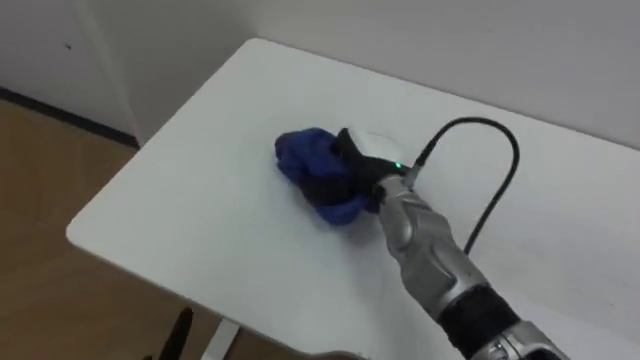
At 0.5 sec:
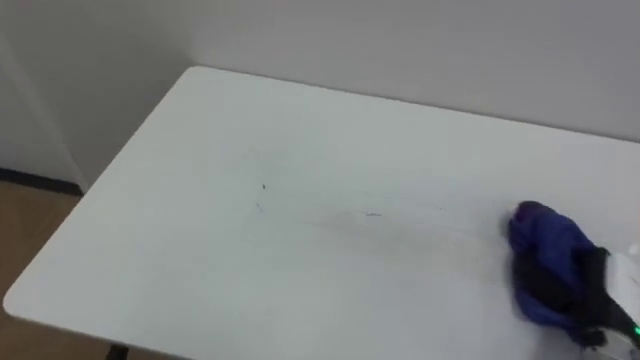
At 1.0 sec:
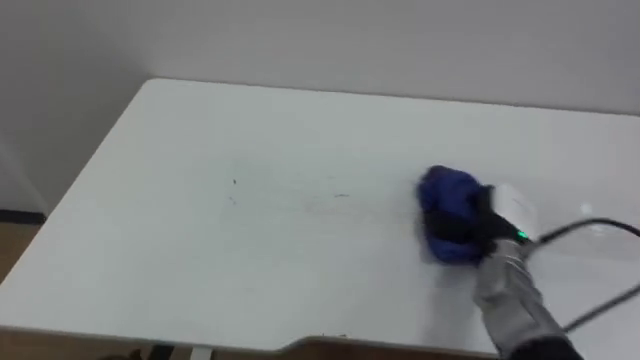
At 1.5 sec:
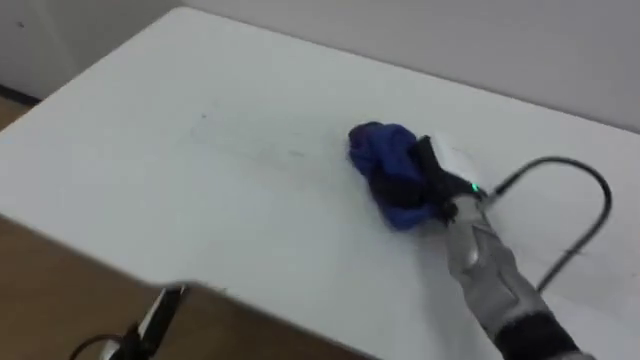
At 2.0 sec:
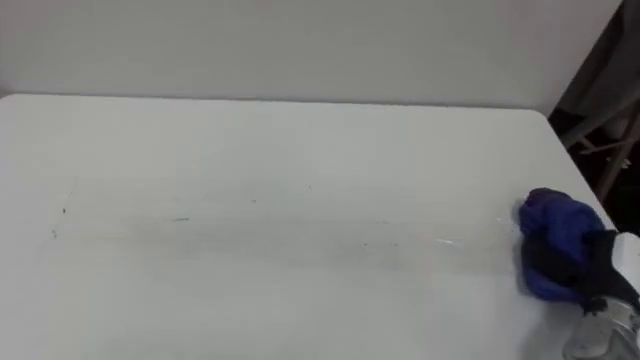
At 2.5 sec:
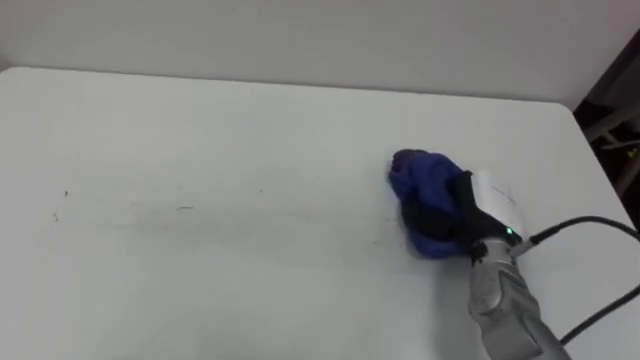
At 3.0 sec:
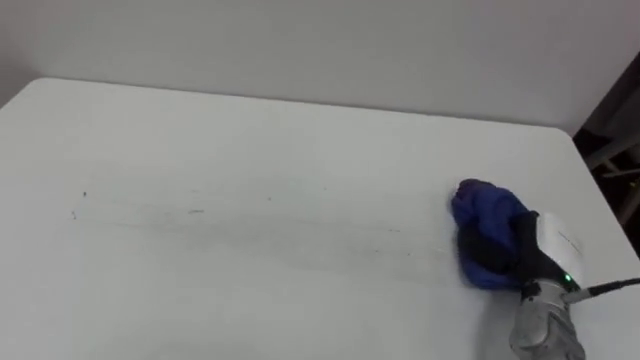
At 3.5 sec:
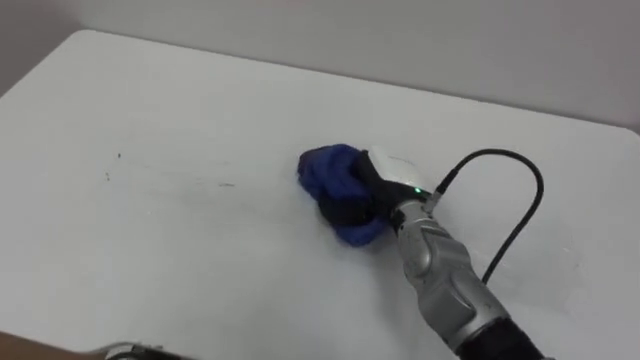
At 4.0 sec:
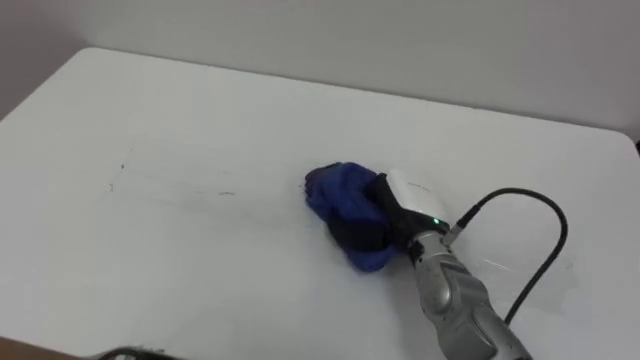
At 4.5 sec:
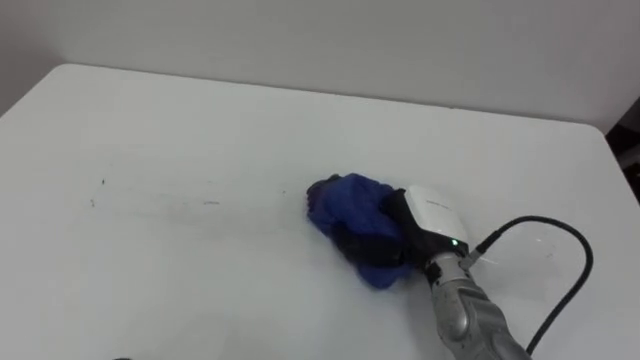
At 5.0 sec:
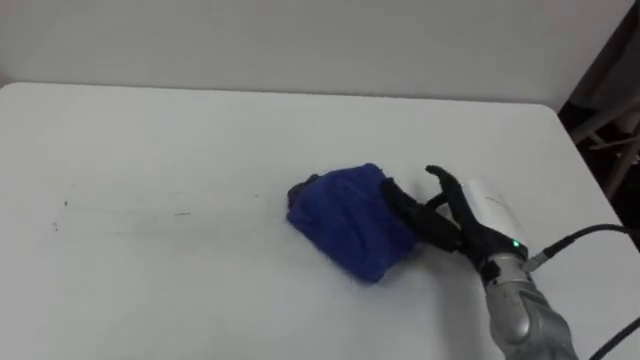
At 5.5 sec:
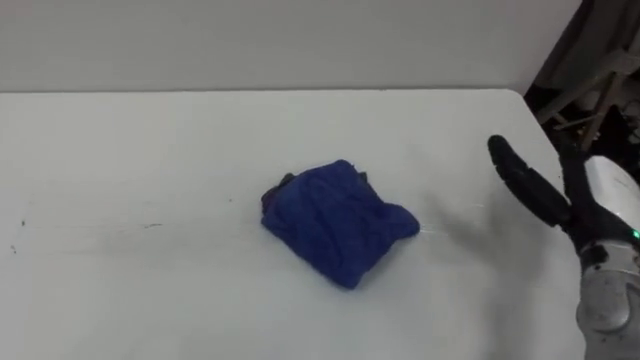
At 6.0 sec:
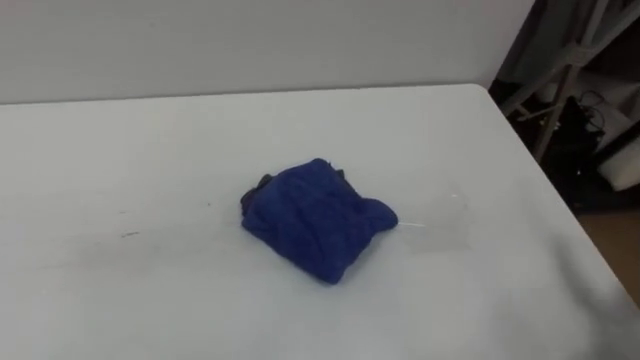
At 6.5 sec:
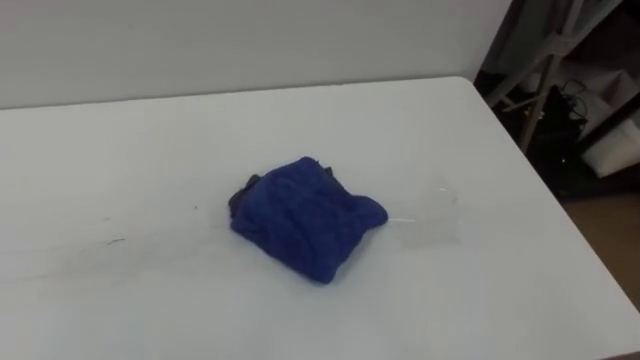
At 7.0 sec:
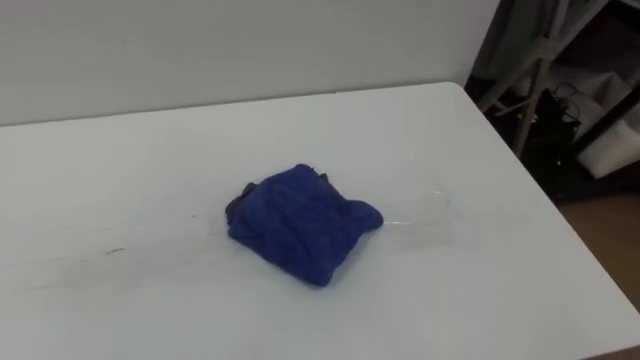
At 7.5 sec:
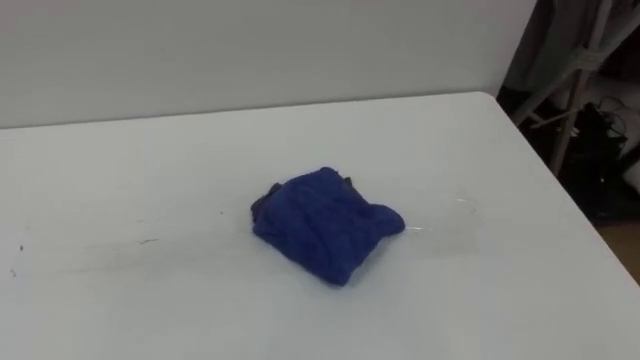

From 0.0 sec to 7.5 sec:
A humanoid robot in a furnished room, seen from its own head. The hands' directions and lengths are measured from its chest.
Task of the whole recording: Wipe the blue pen marks off the table with the rag.
From 2.0 sec to 4.0 sec: The right hand goes left and right, approximately 25 cm each way, reversing 2 times.
From 4.0 sec to 5.5 sec: The right hand travels to the right by roughly 20 cm, and opens its fingers.

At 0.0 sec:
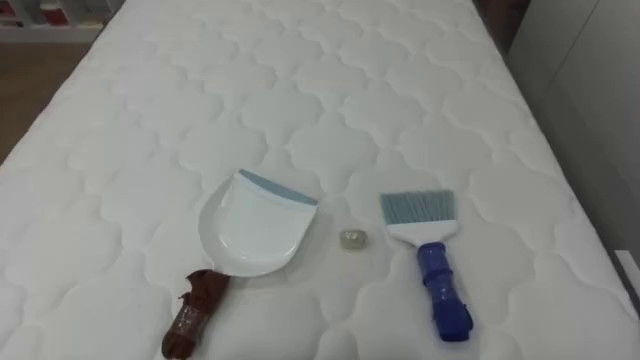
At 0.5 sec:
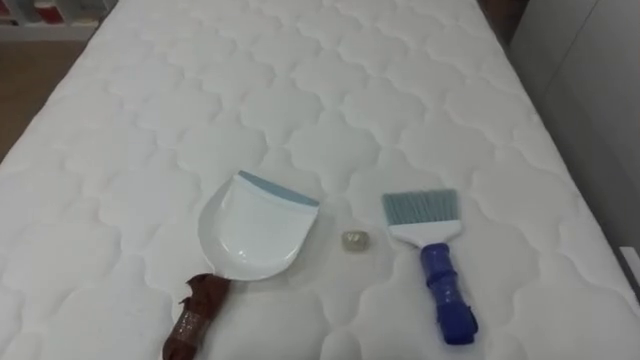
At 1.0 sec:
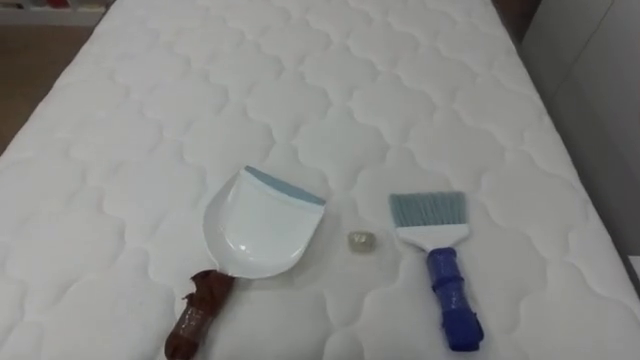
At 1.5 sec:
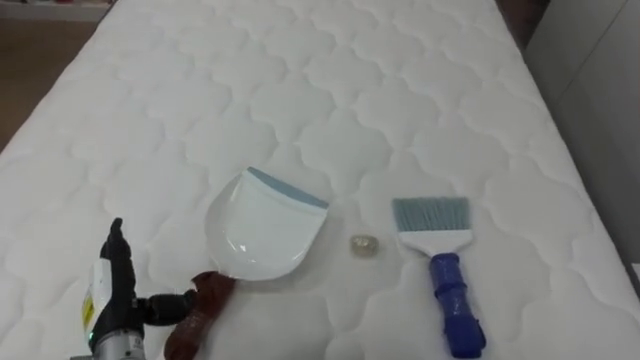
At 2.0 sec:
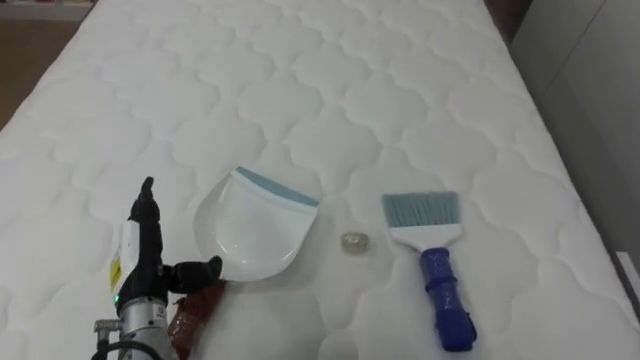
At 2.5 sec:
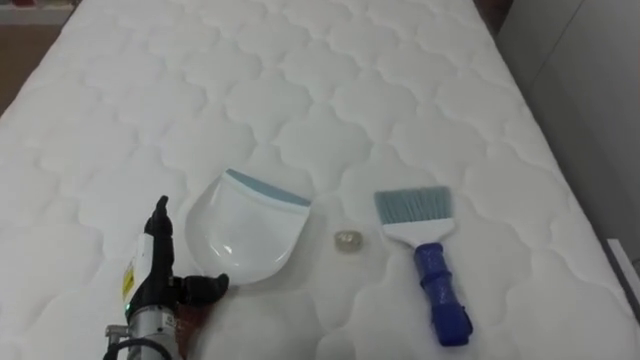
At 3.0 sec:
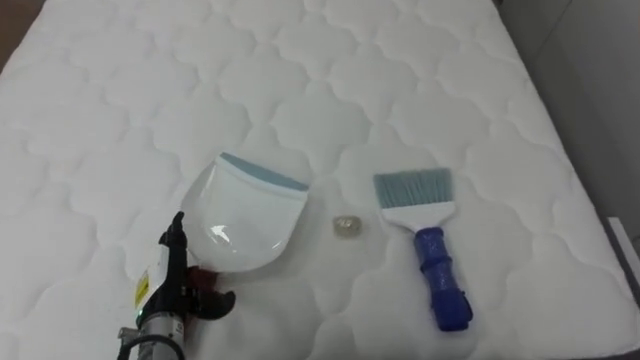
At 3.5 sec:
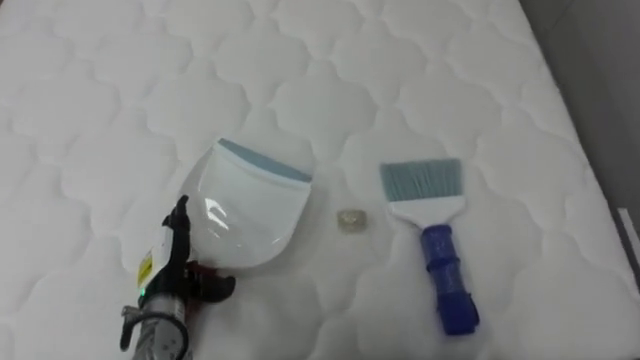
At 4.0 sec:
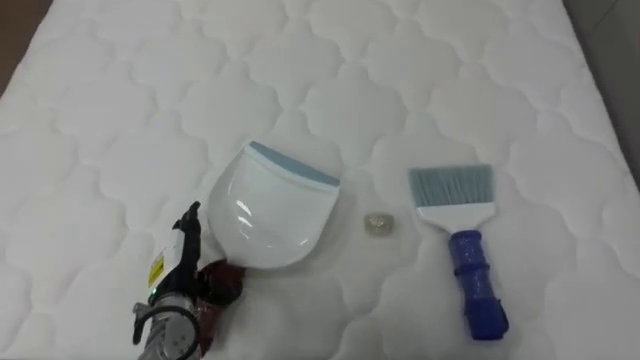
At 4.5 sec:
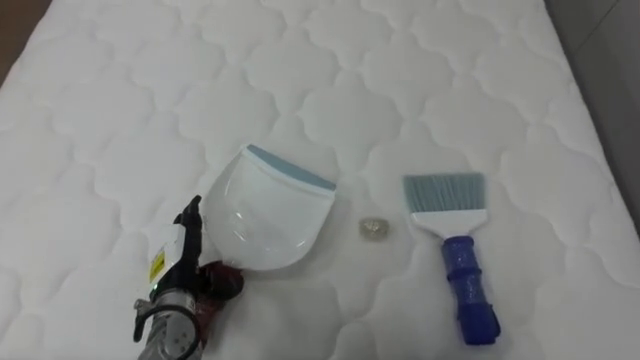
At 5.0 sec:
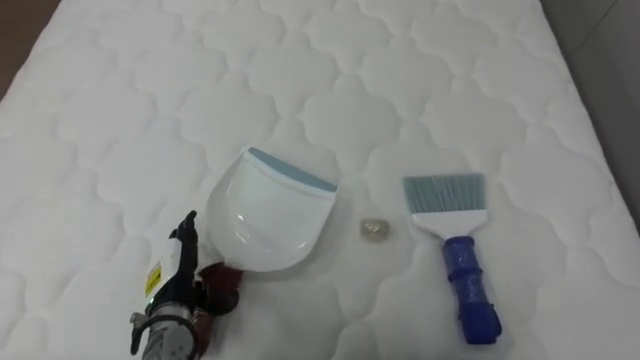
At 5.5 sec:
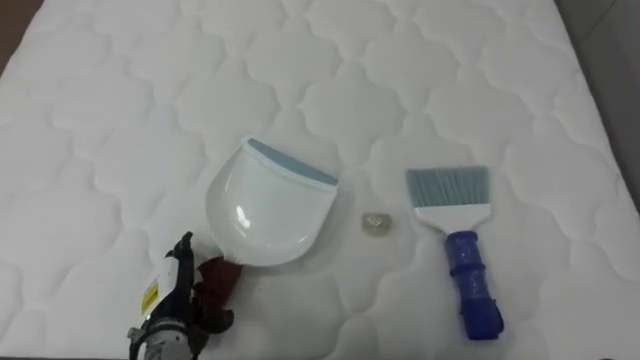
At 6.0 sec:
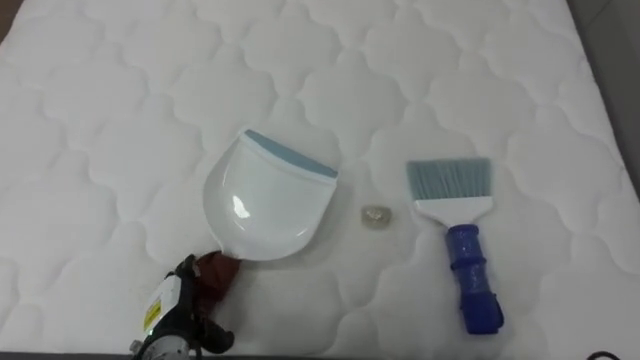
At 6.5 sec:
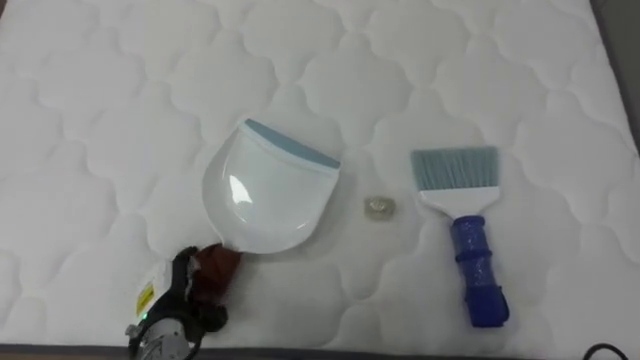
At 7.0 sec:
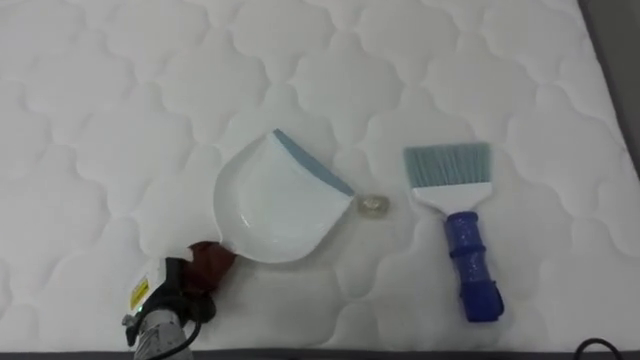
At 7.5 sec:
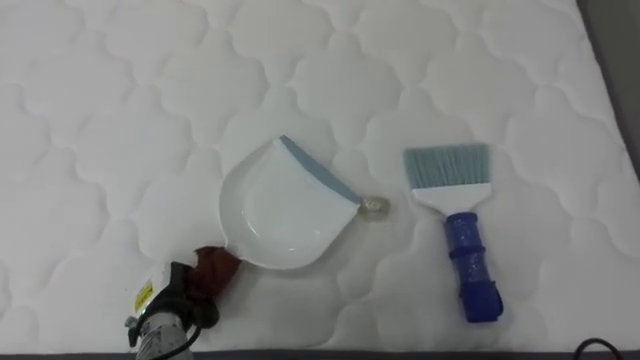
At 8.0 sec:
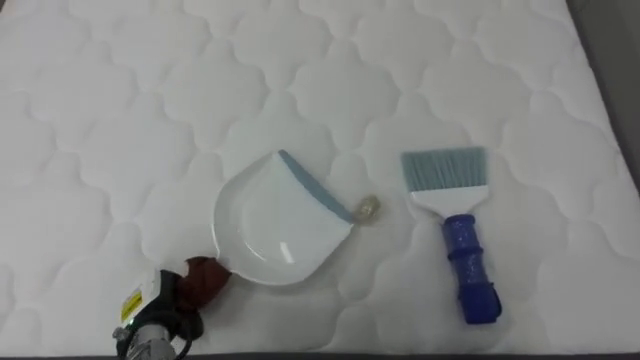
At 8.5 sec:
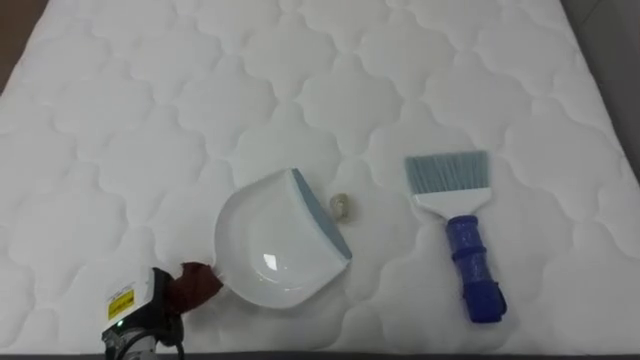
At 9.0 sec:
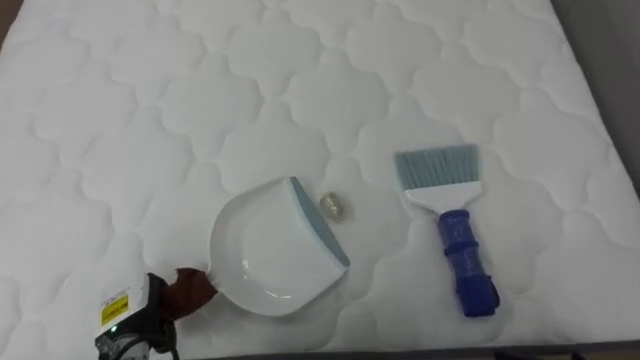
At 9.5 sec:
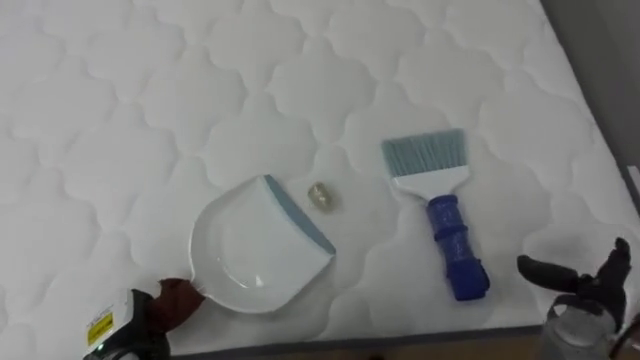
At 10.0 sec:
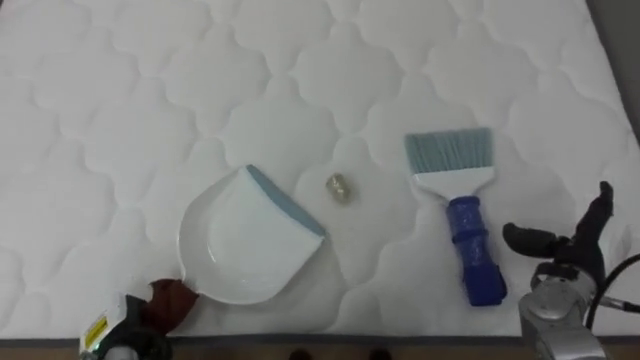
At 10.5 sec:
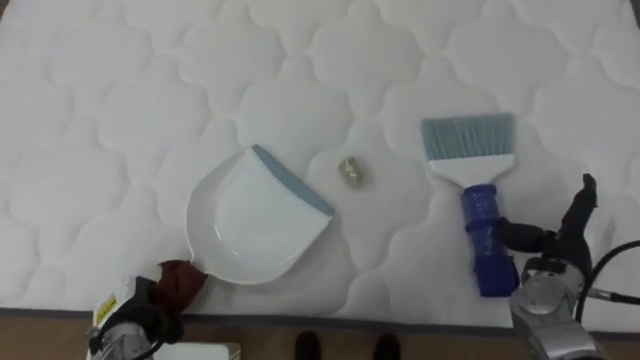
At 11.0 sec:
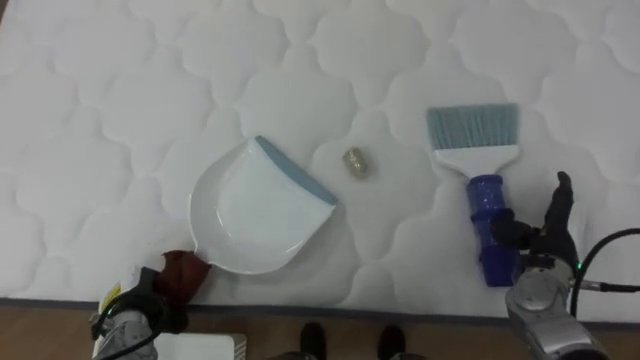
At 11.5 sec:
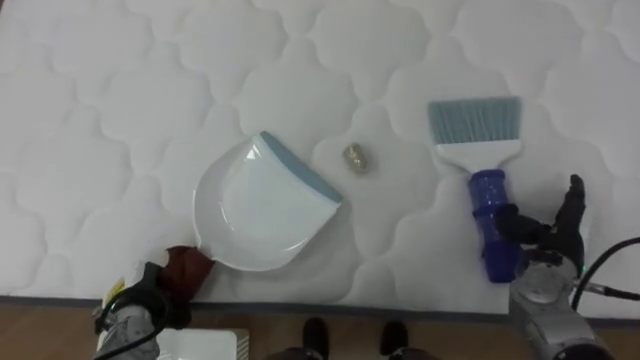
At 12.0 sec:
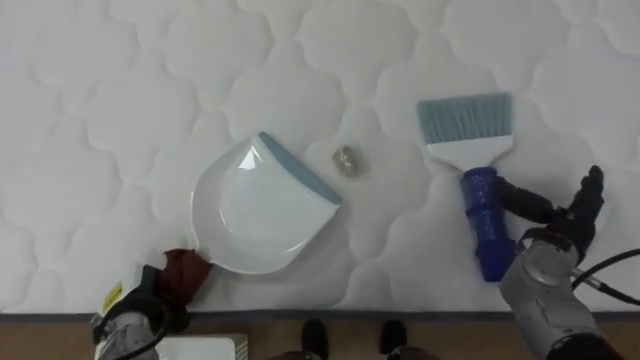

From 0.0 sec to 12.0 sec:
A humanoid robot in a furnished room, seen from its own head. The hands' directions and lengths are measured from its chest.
Task of the whole recording: Pick up the brush on your right and the dustpan on your left. Use the brush to sweep the crumpled paper on the bed into the dustpan, then turn left and empty it into the basket.
From 2.0 sec to 4.0 sec: The left hand travels downward by some 5 cm.
From 4.0 sec to 6.0 sec: The left hand moves approximately 5 cm.
From 6.0 sec to 8.0 sec: The left hand closes.
From 8.0 sec to 10.0 sec: The left hand changes place by some 5 cm.
From 10.0 sec to 12.0 sec: The left hand moves approximately 5 cm.
